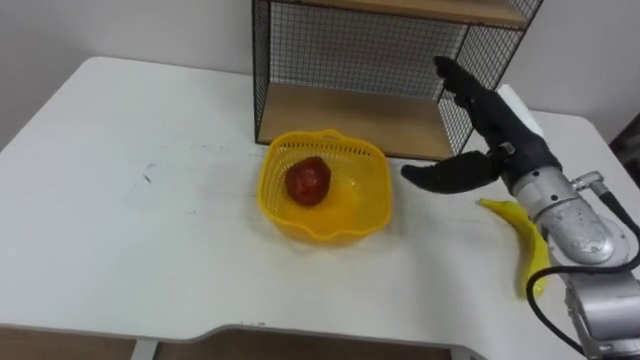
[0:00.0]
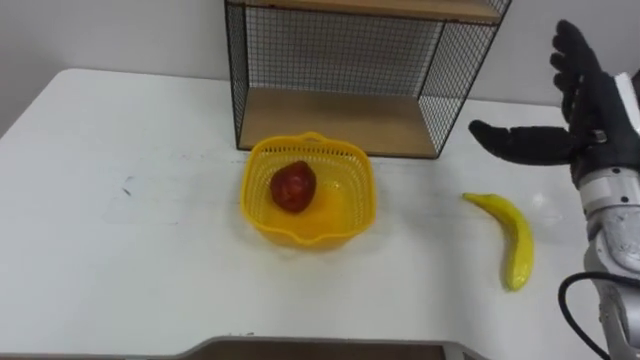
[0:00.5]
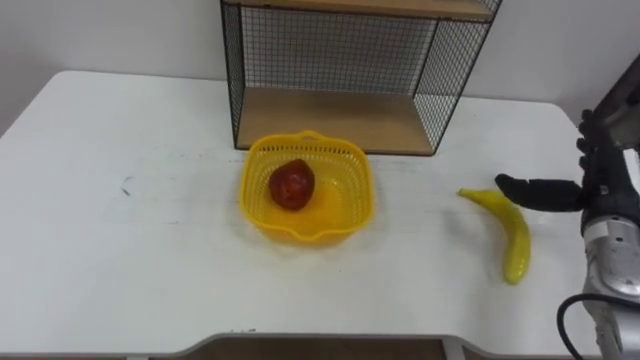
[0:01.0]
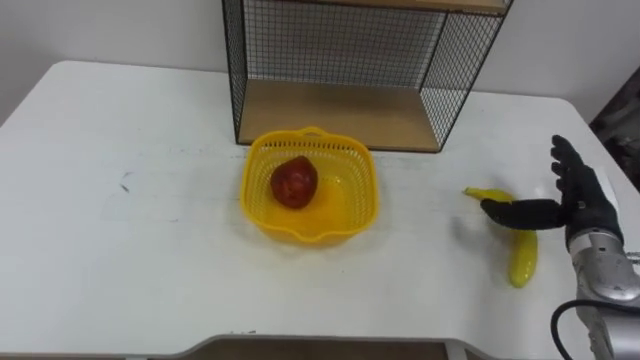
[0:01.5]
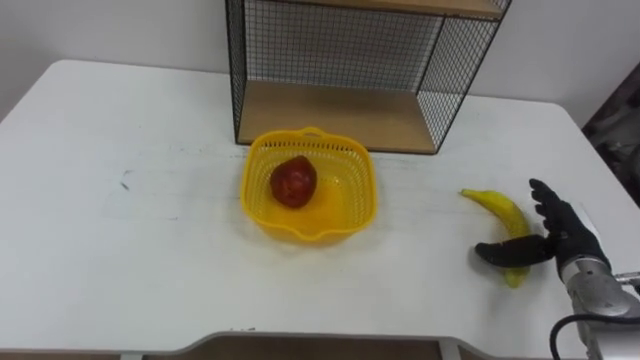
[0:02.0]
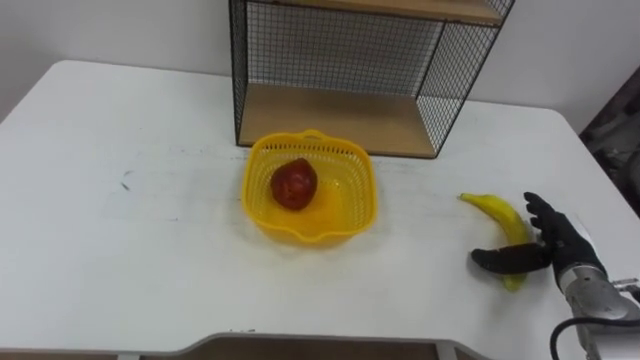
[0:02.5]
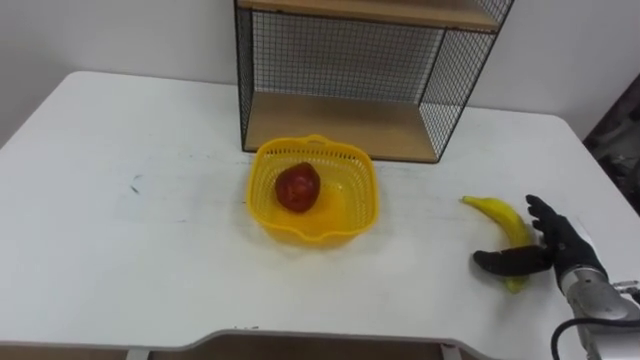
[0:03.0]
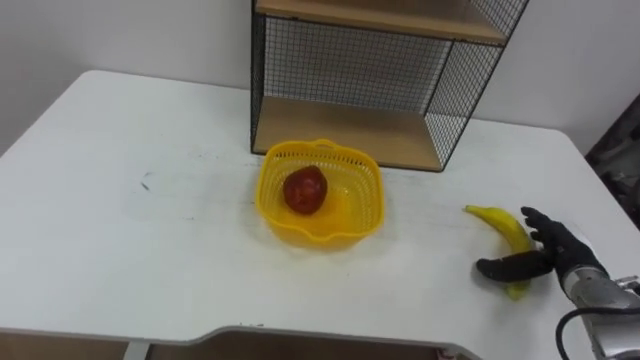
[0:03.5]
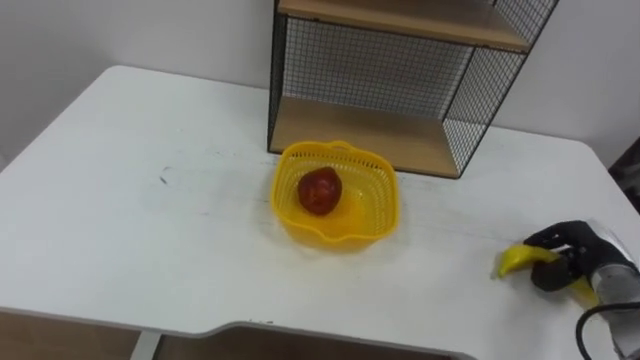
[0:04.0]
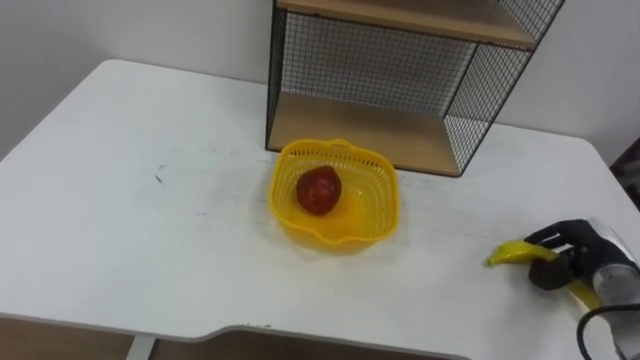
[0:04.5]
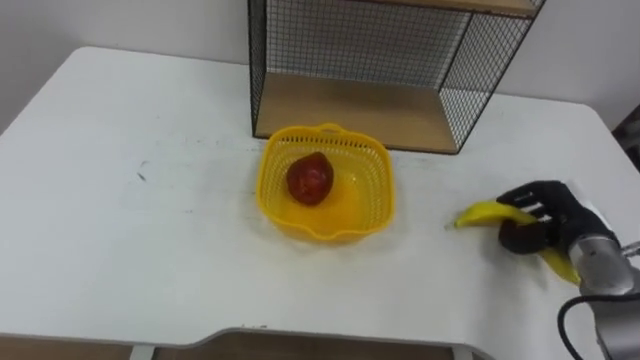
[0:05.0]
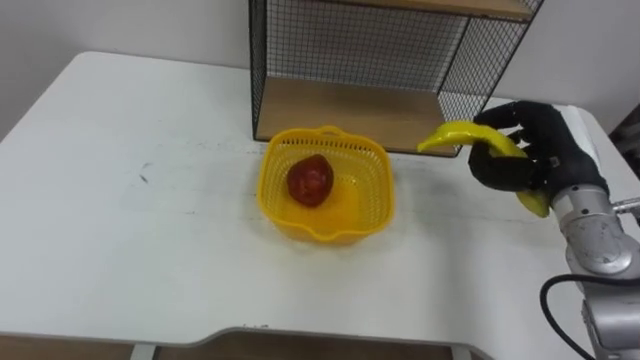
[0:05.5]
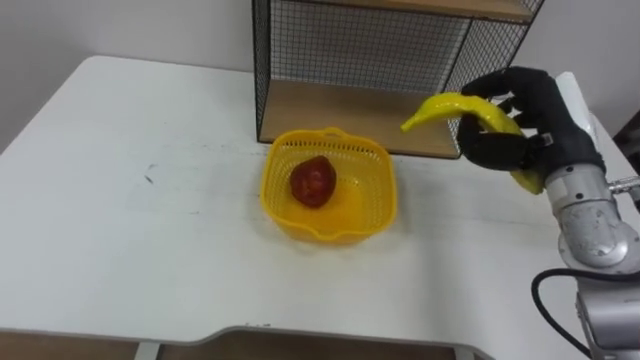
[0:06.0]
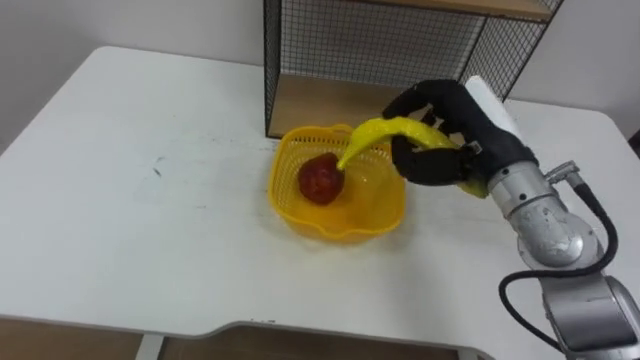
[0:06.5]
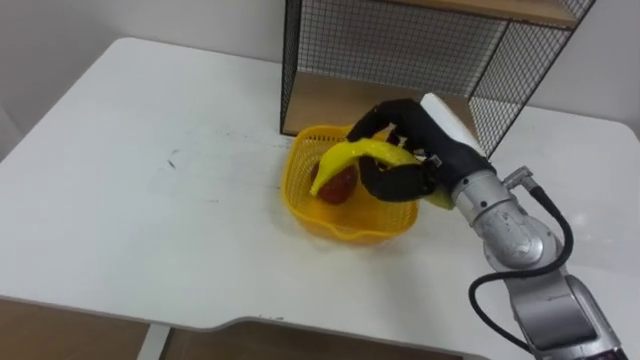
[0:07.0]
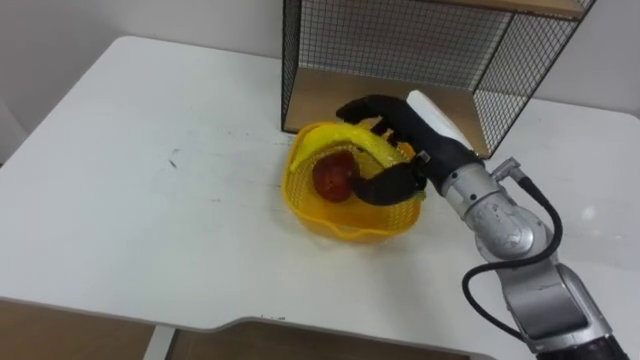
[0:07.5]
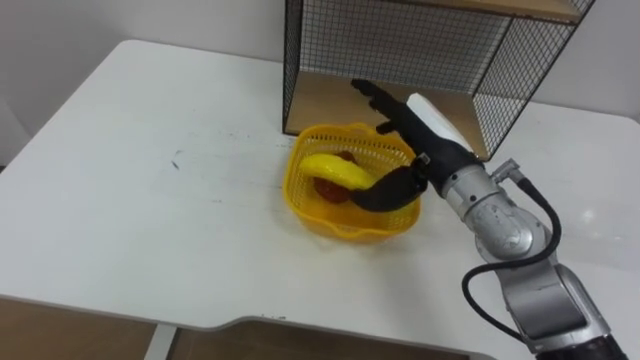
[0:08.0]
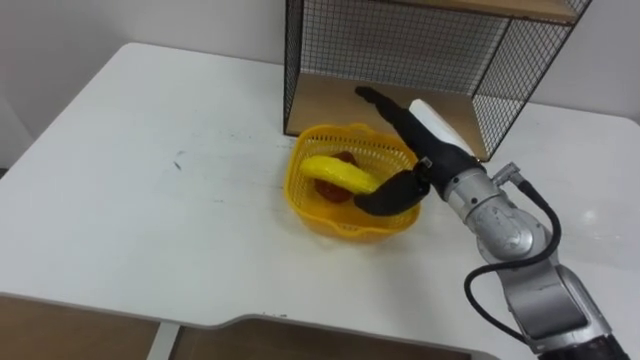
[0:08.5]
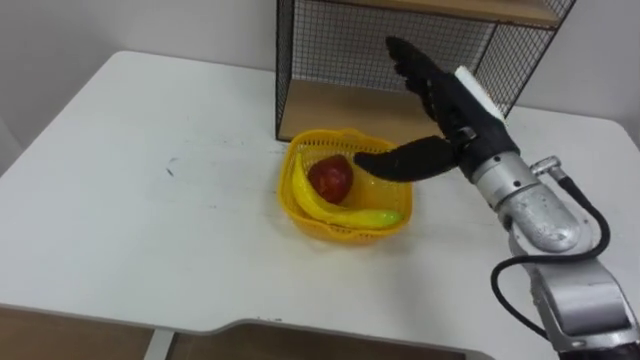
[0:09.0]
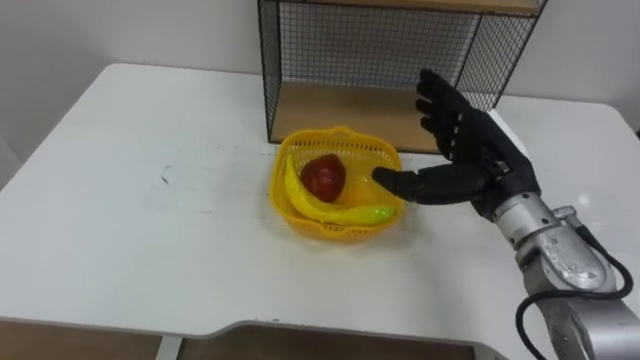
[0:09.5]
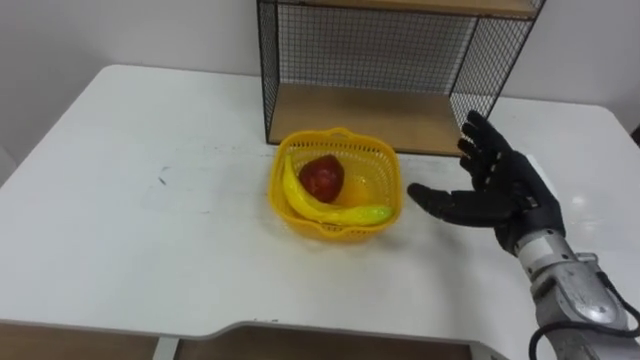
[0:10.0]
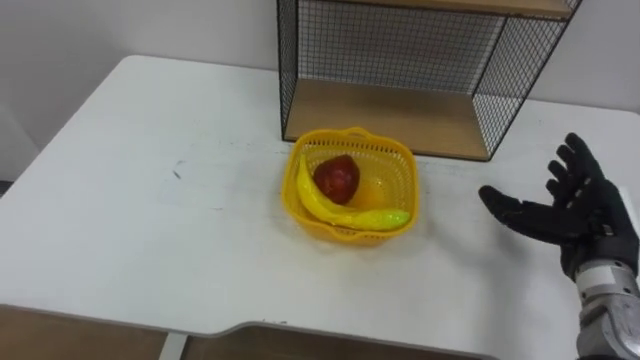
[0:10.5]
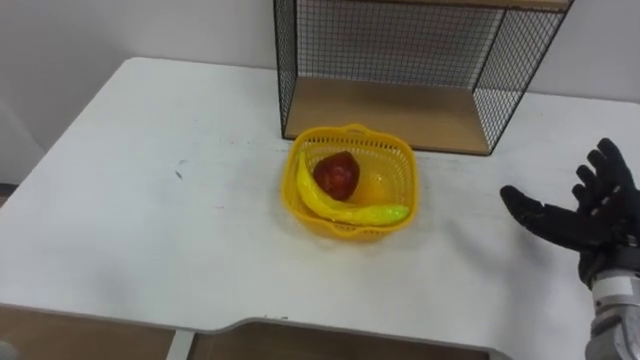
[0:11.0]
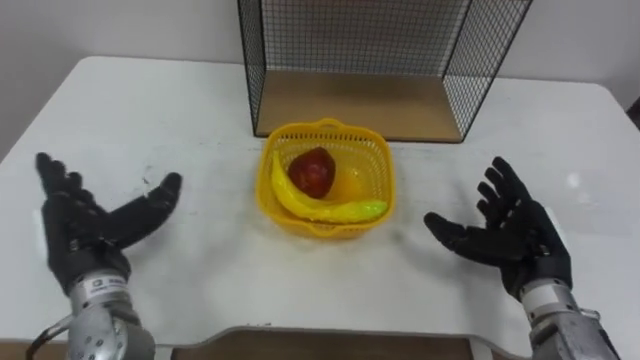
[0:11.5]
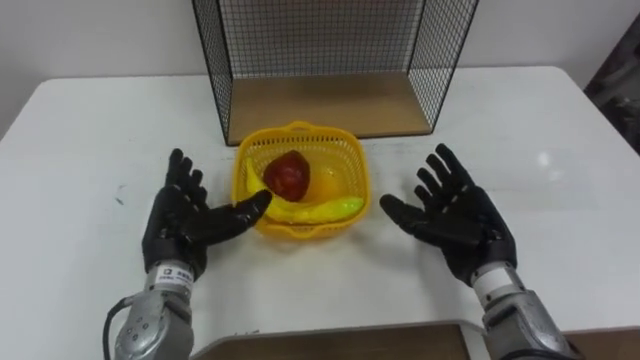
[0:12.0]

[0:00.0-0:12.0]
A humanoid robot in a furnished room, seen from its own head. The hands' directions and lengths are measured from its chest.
Task of the whole recording: Put the fruit on the table into the basket, then place the basket on the shelf.
0:00.0 to 0:02.0: The right hand is displaced downward and to the right by approximately 20 cm.
0:02.0 to 0:04.0: The right hand changes place by roughly 5 cm, and closes.
0:04.0 to 0:06.0: The right hand moves upward and to the left, roughly 20 cm.
0:06.0 to 0:08.0: The right hand goes approximately 15 cm to the left, and opens its fingers.
0:08.0 to 0:10.0: The right hand moves to the right and downward, approximately 10 cm.
0:10.0 to 0:12.0: The right hand travels to the right and back again, approximately 10 cm each way.

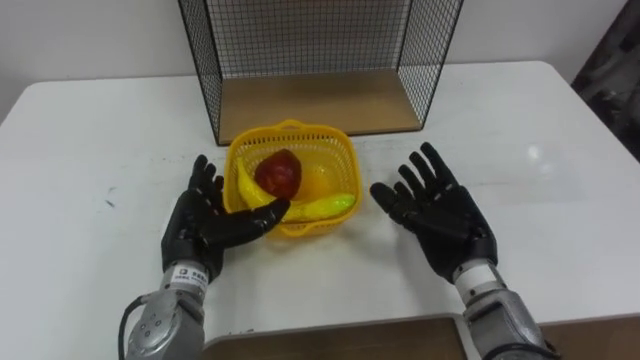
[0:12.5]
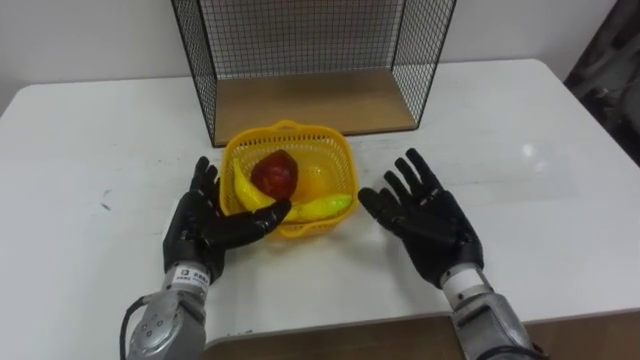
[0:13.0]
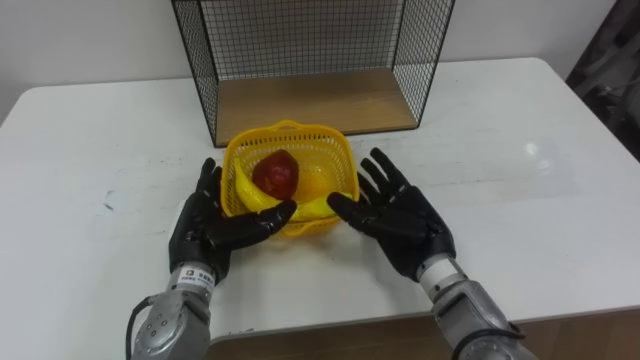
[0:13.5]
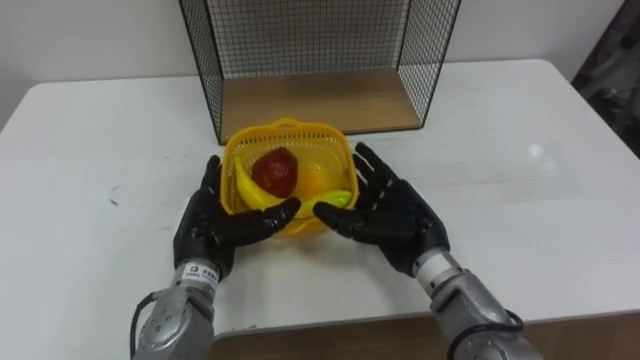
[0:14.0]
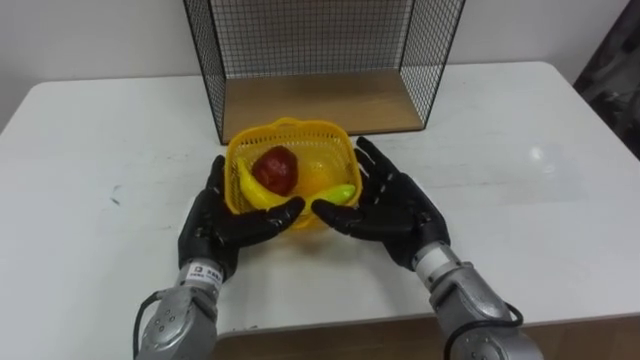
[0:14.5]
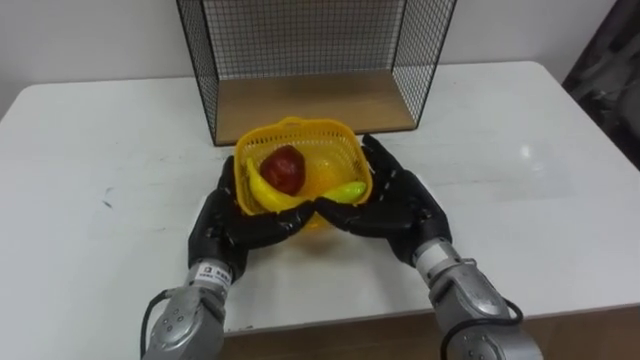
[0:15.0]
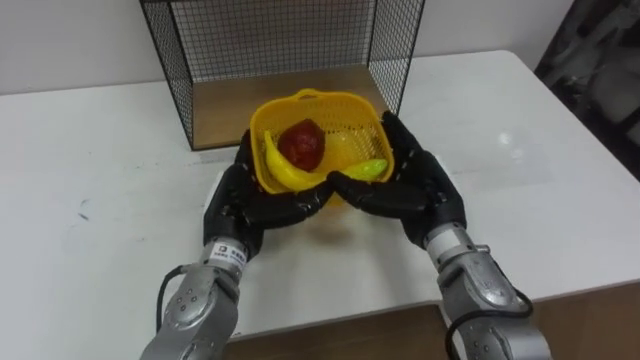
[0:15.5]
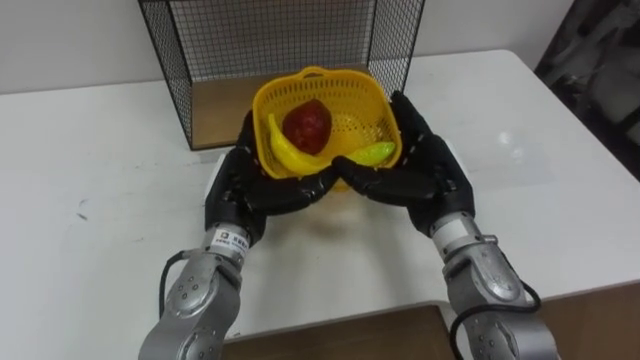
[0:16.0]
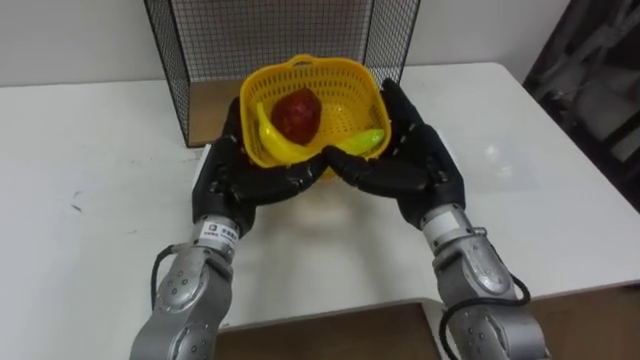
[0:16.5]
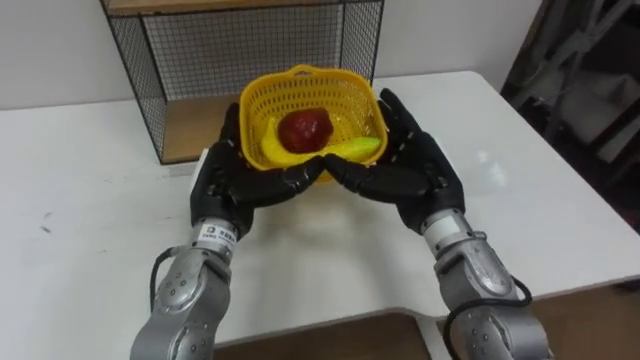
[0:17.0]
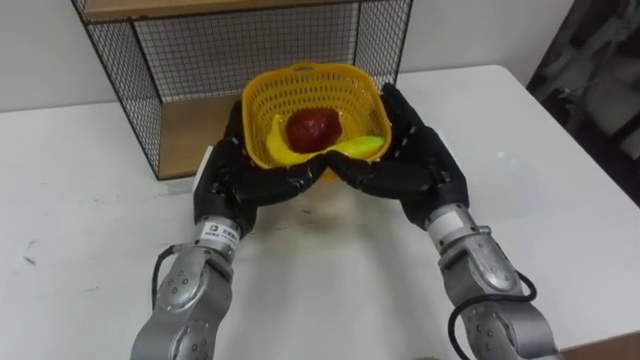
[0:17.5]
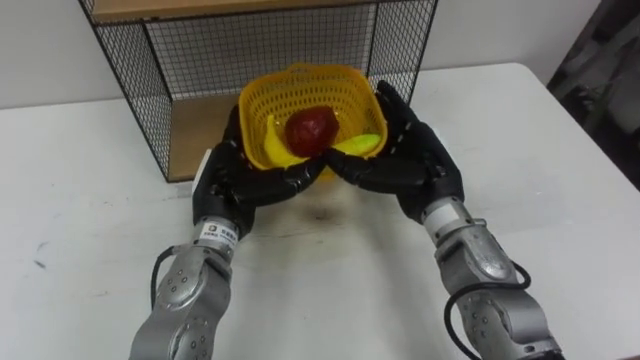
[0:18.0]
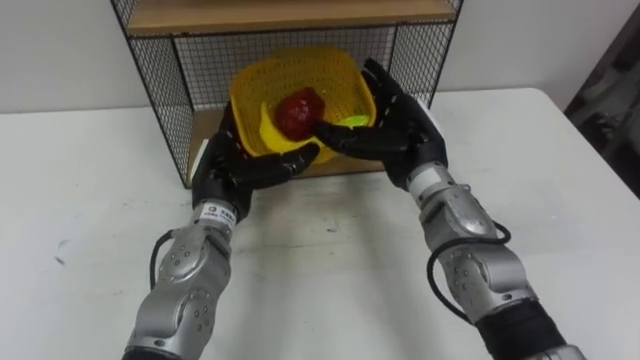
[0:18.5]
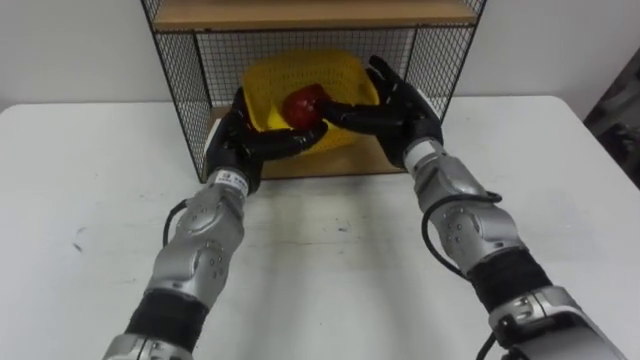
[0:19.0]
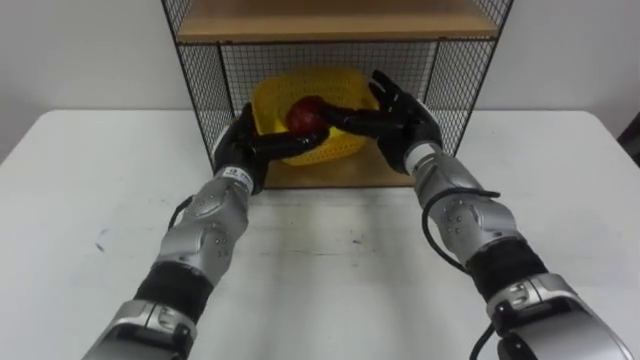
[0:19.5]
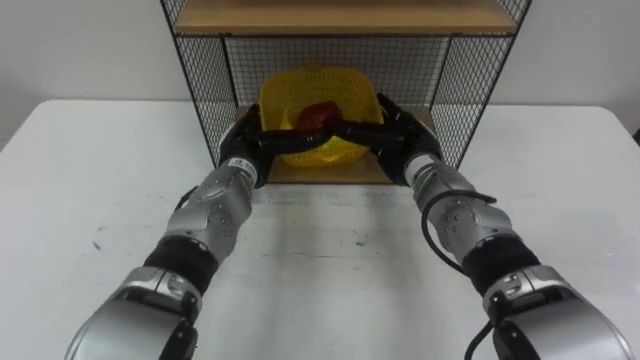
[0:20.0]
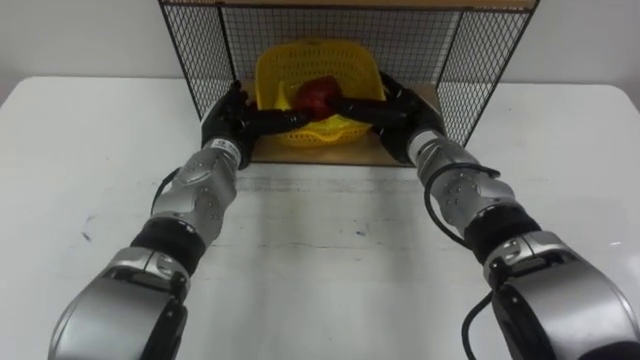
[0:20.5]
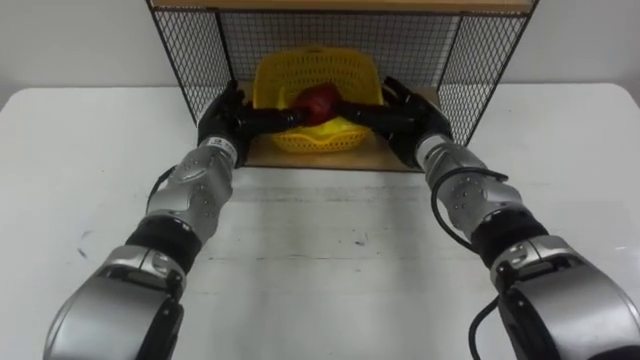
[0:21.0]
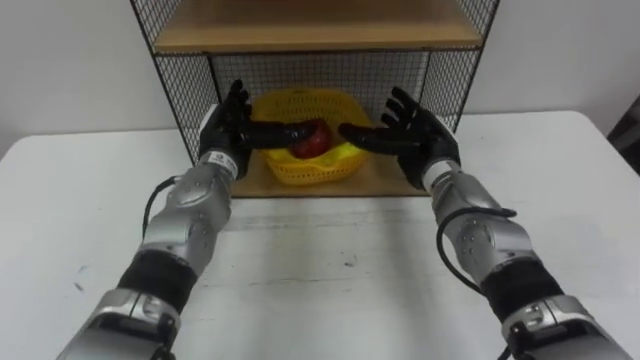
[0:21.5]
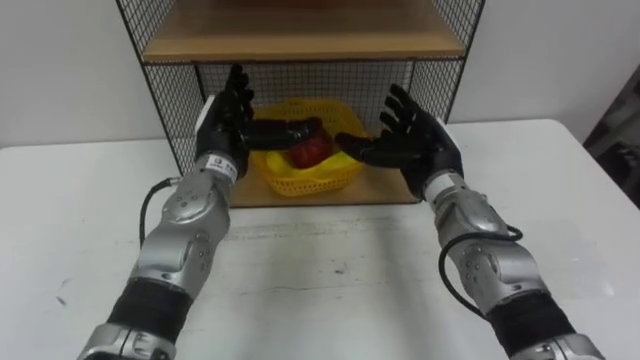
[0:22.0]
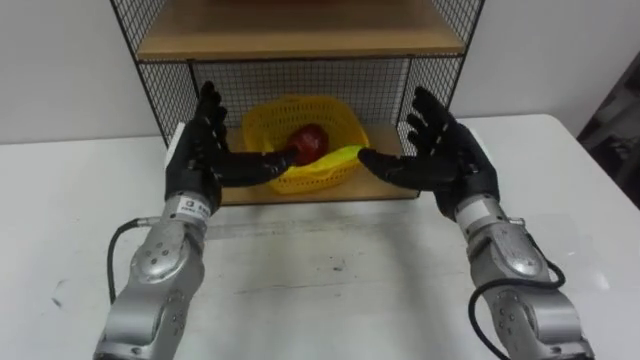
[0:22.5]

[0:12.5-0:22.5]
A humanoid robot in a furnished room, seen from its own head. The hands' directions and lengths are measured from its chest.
Task of the whole recording: Put the fruit on the table into the basket, then place the basket on the shelf.
0:12.5 to 0:14.5: The right hand heads to the left, covering some 5 cm.
0:14.5 to 0:16.5: Both hands travel together upward, some 5 cm.
0:18.5 to 0:20.5: Both hands travel together forward, about 5 cm.
0:20.5 to 0:22.5: The left hand is displaced backward by some 10 cm; the right hand heads backward and to the right, covering approximately 10 cm.
